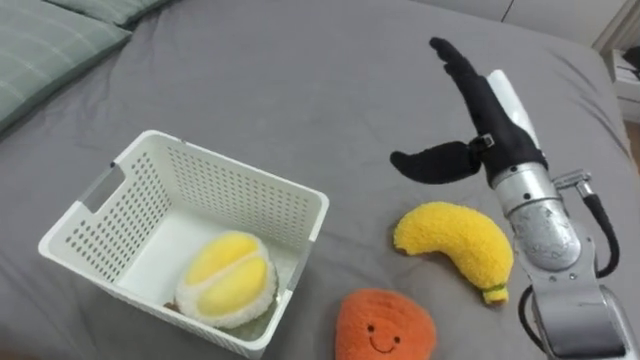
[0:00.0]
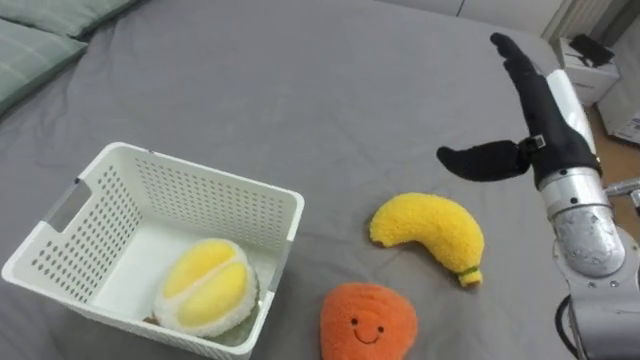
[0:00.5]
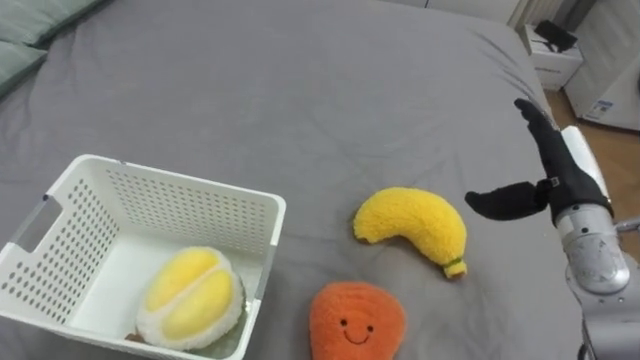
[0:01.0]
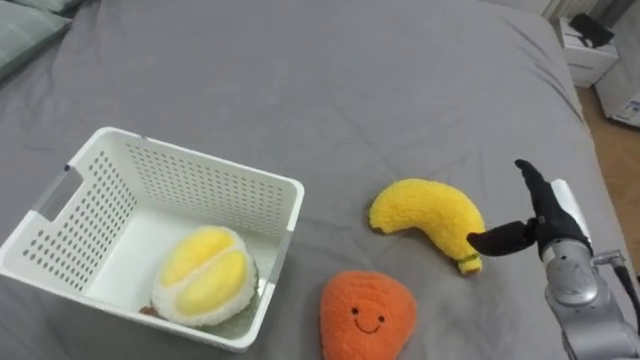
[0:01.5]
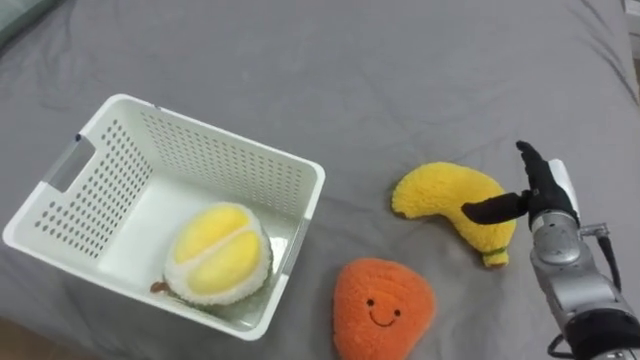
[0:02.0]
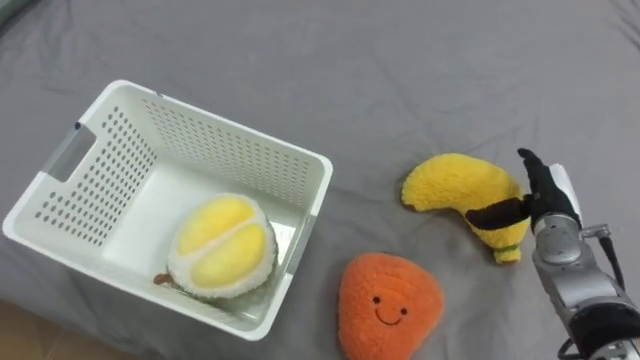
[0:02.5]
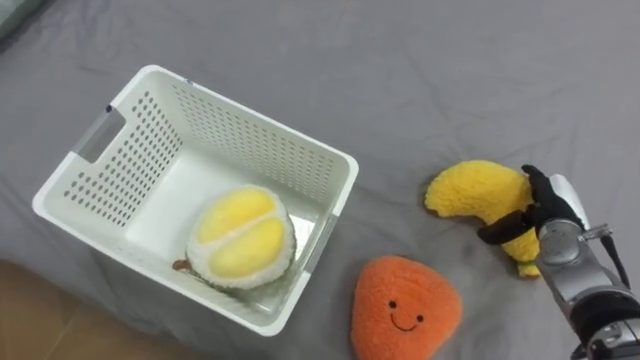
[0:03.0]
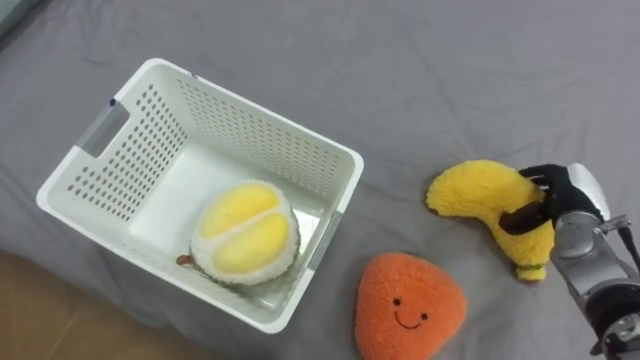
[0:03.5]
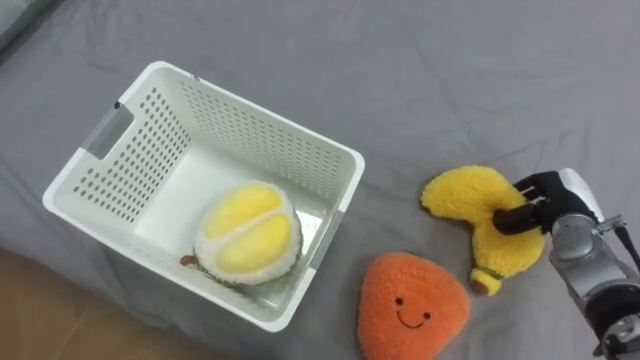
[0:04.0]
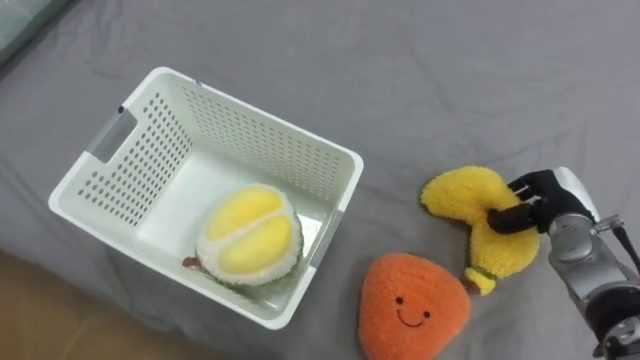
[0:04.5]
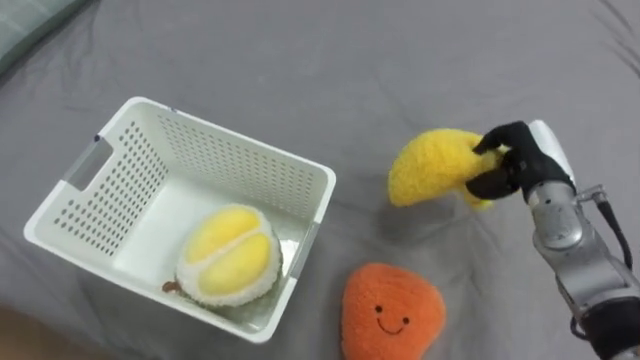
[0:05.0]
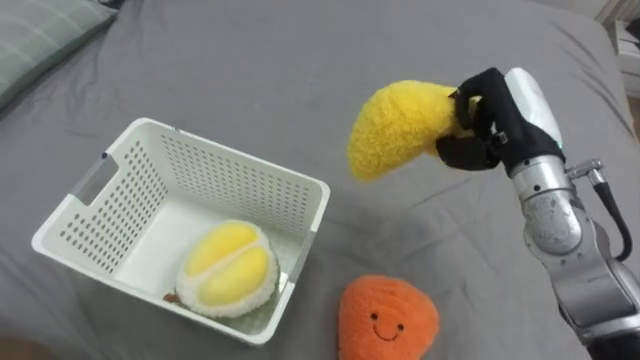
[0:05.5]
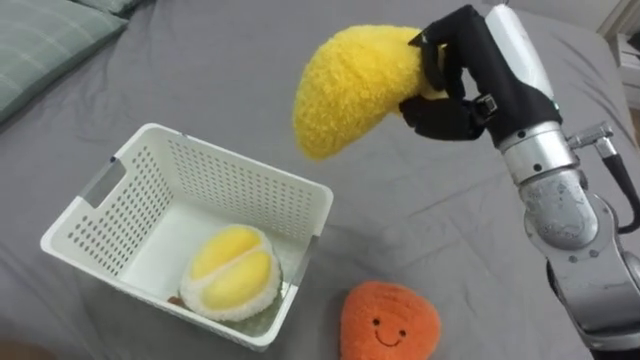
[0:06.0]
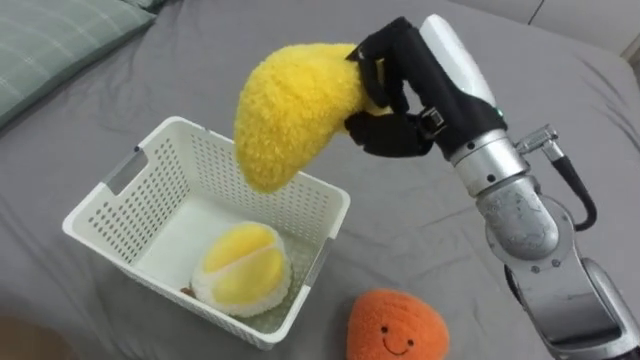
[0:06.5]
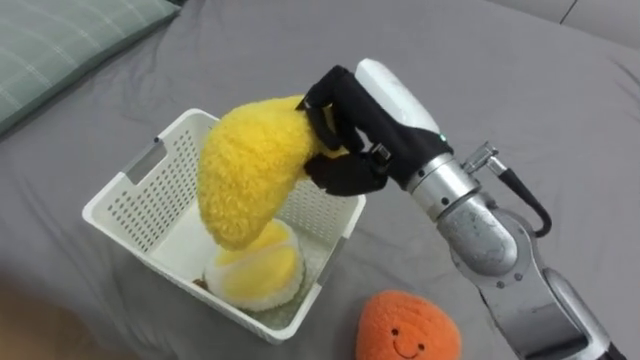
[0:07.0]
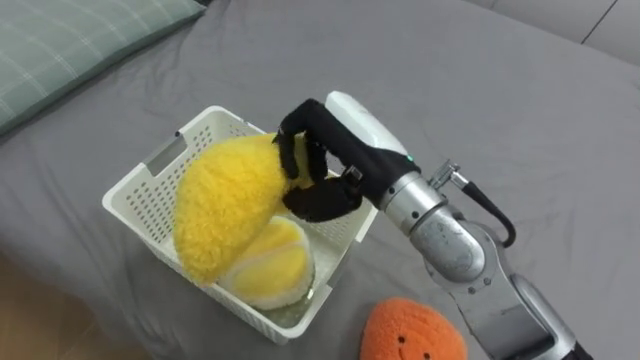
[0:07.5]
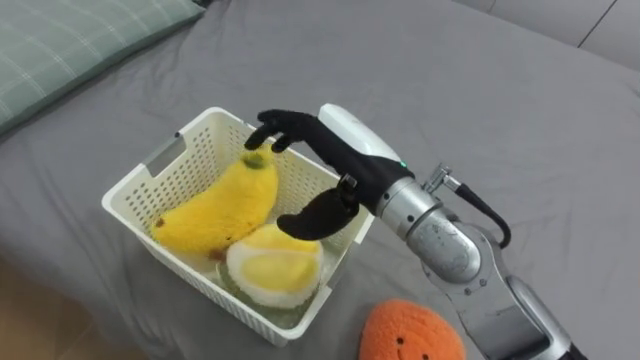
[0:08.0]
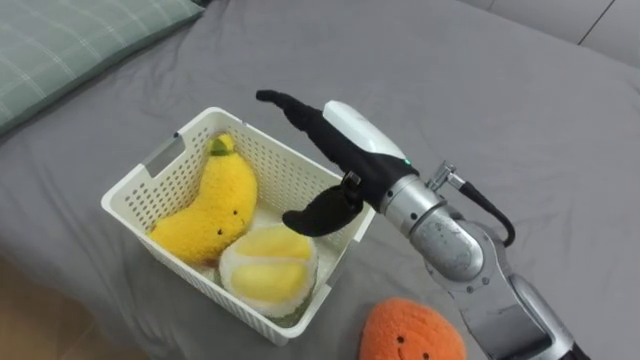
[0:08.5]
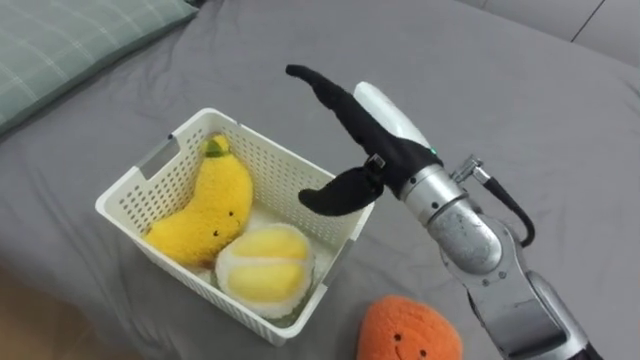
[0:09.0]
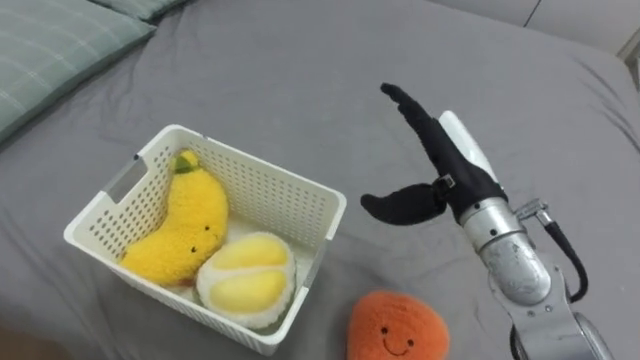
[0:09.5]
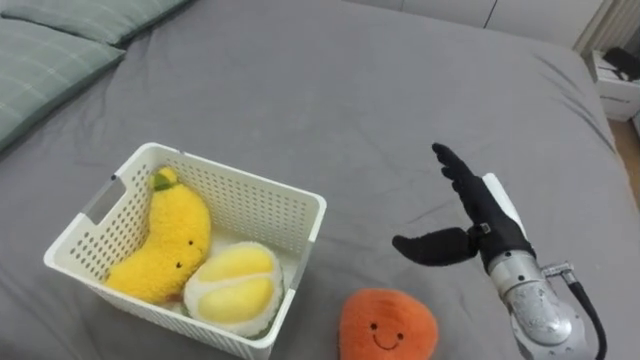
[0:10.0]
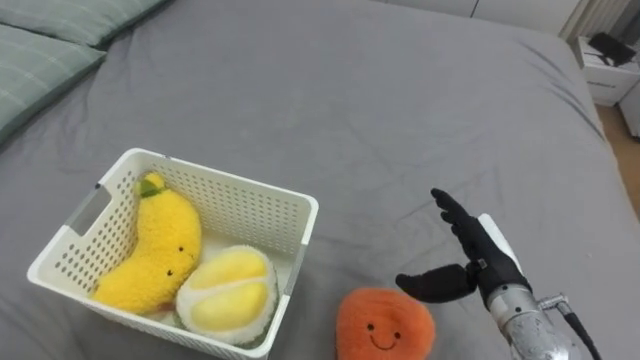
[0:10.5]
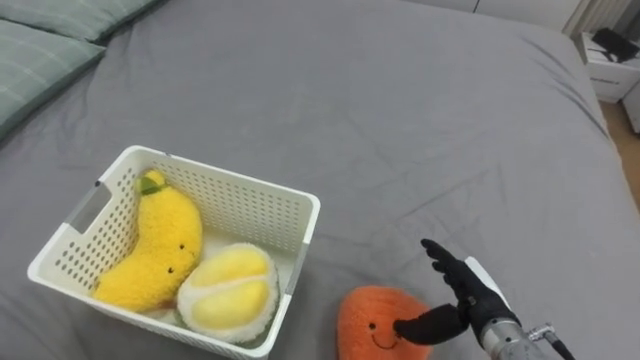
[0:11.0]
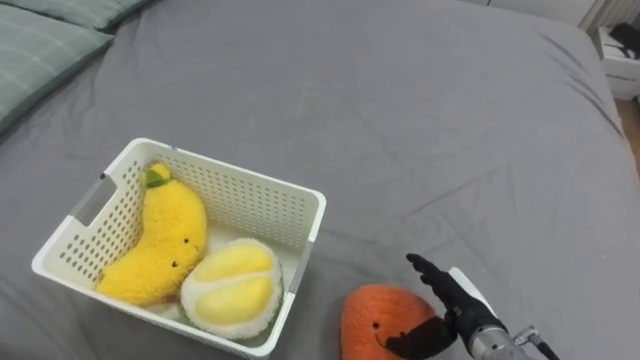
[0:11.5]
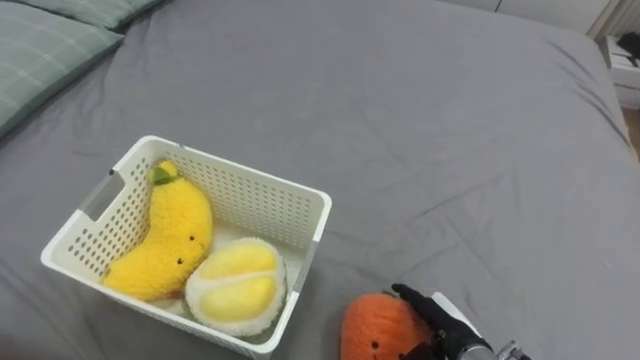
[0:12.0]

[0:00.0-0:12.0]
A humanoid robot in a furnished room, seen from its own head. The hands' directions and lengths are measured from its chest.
Task of the whole recording: Put the toys on the bed into the basket on the left.
0:00.0 to 0:02.0: The right hand travels downward and to the right by some 20 cm.
0:02.0 to 0:04.0: The right hand closes.
0:04.0 to 0:06.0: The right hand shifts some 30 cm upward and to the left.
0:06.0 to 0:08.0: The right hand travels to the left and downward by approximately 15 cm, and opens its fingers.
0:08.0 to 0:10.0: The right hand is displaced to the right and downward by some 20 cm.
0:10.0 to 0:12.0: The right hand heads downward and backward, covering some 15 cm.

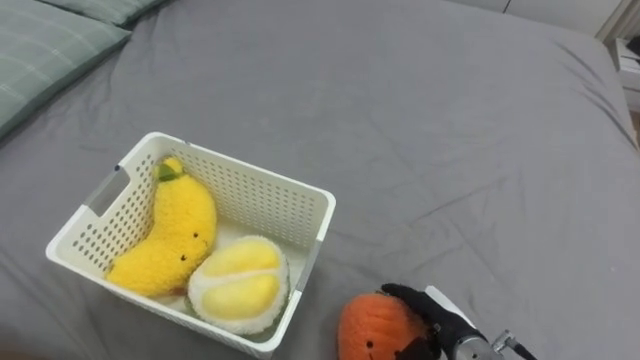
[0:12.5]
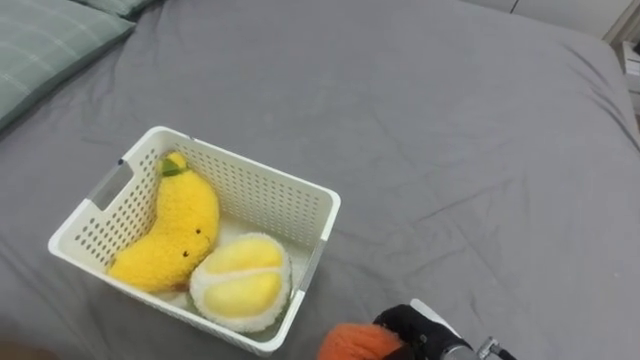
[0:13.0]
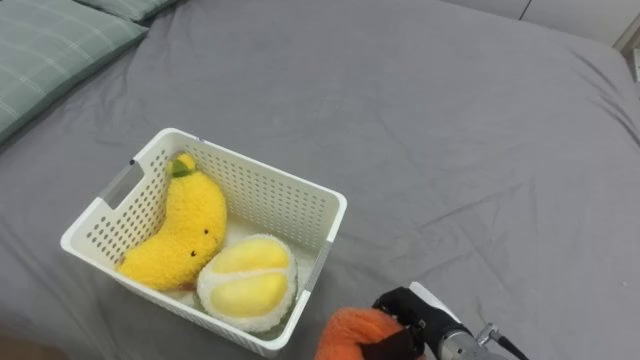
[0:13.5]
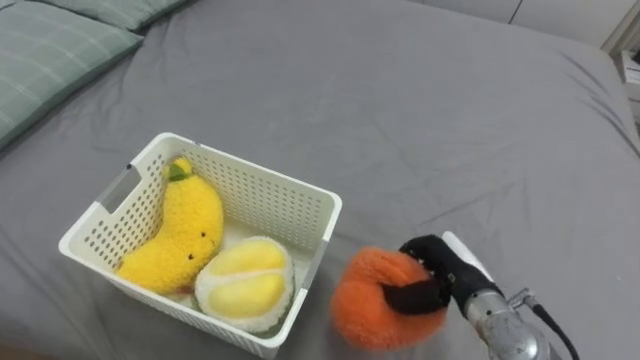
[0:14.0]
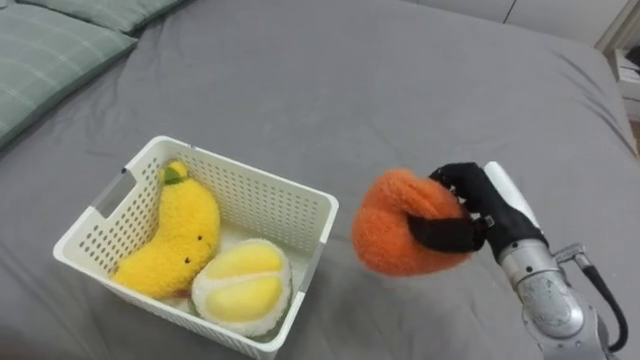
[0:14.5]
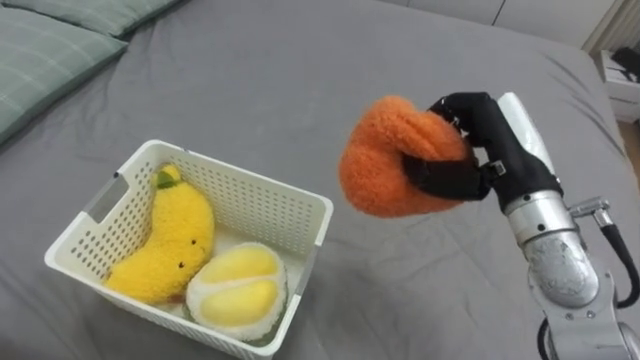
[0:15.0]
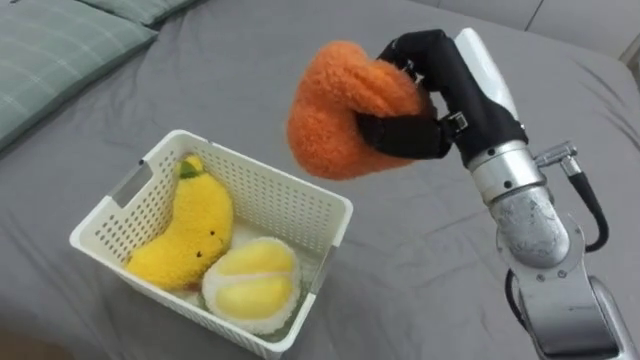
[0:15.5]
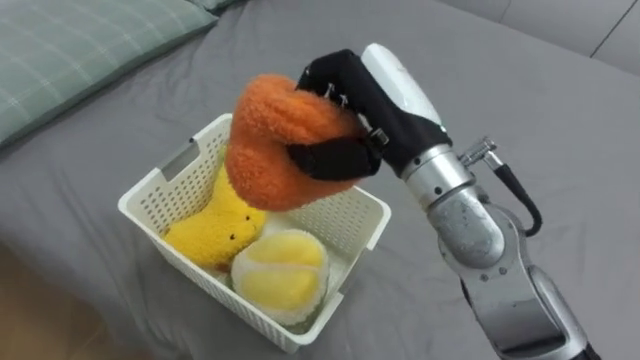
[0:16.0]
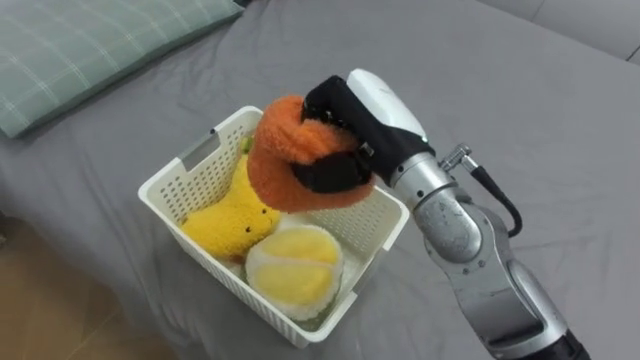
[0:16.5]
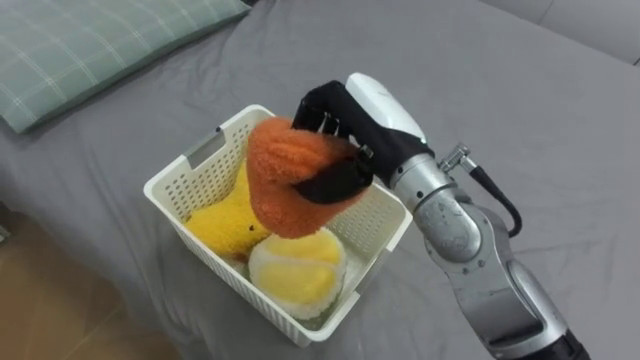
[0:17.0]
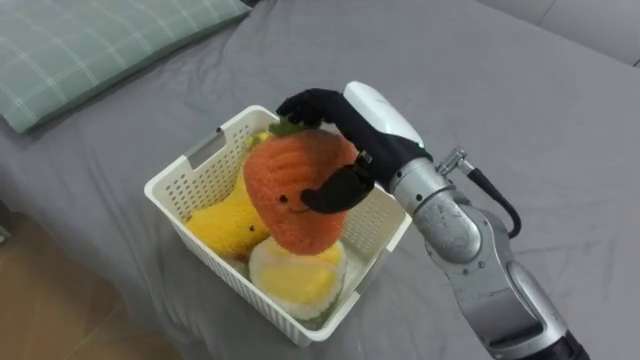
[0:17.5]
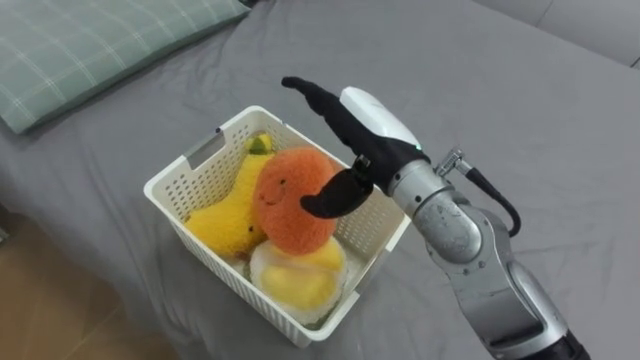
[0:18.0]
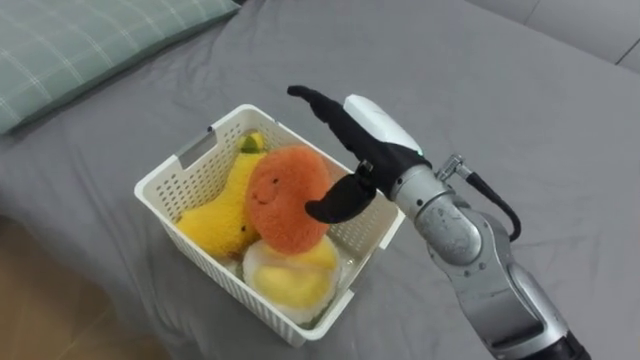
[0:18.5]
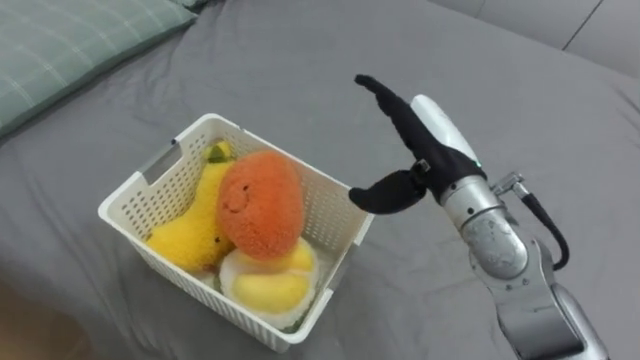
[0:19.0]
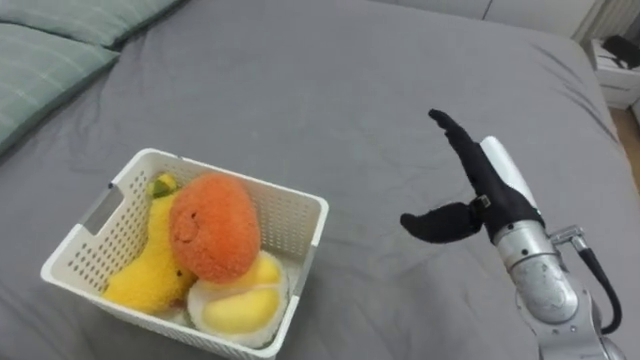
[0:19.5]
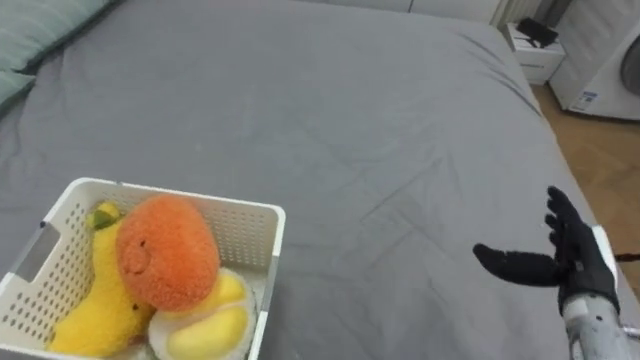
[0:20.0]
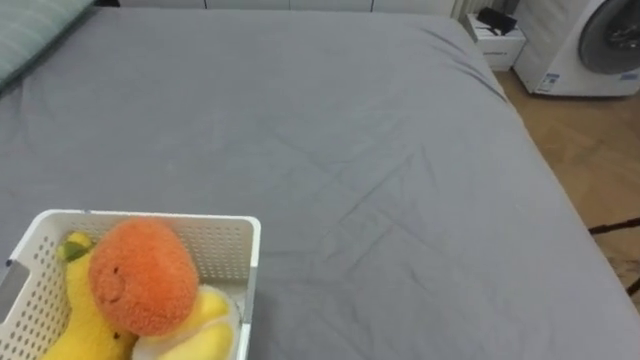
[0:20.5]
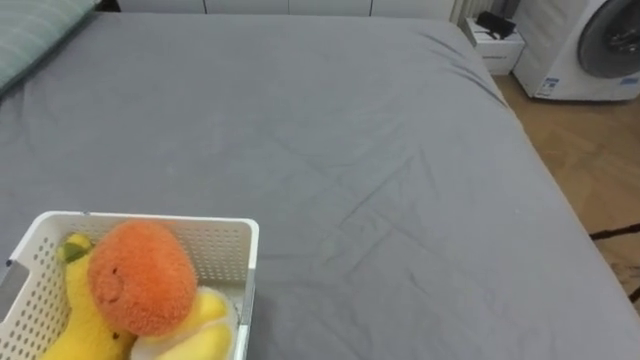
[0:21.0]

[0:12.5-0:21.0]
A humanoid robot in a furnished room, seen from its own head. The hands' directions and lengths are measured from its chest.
Task of the whole recording: Put the toys on the bed into the basket on the left.
0:12.5 to 0:14.5: The right hand travels upward and forward by approximately 20 cm, and closes up.
0:14.5 to 0:16.5: The right hand heads to the left and upward, covering approximately 20 cm.
0:16.5 to 0:19.0: The right hand moves to the right, approximately 5 cm, and opens.
